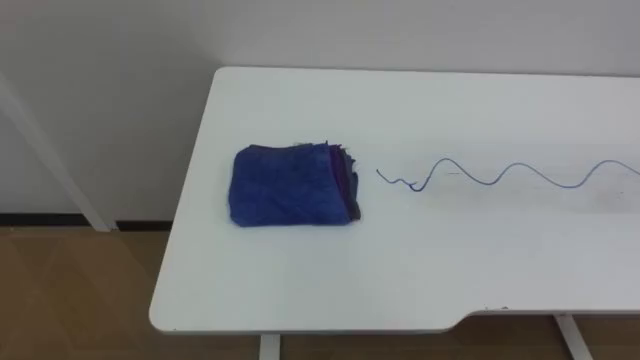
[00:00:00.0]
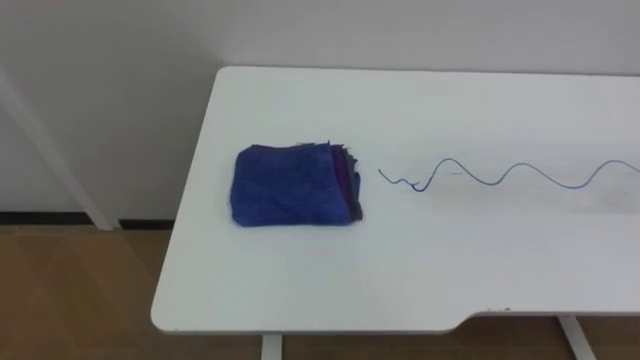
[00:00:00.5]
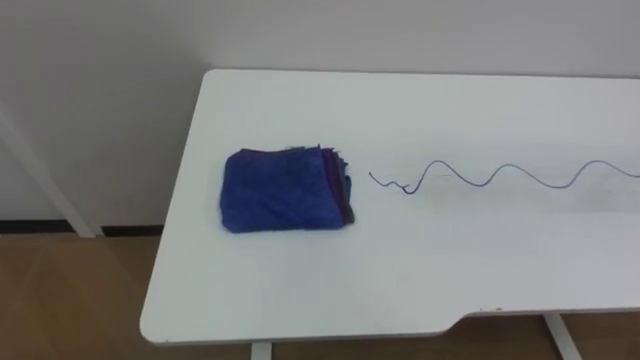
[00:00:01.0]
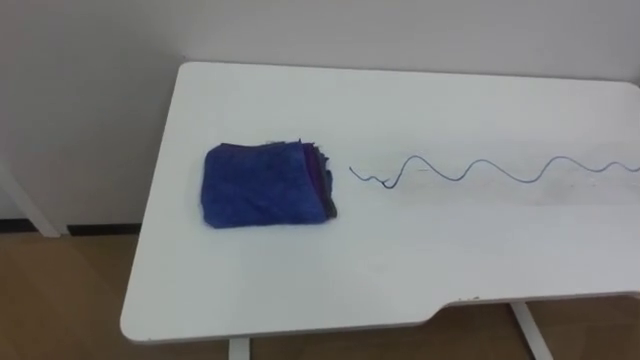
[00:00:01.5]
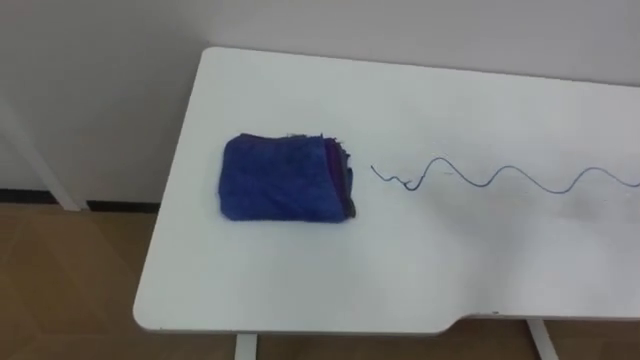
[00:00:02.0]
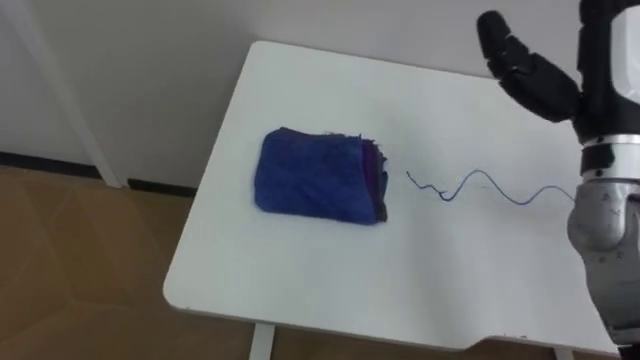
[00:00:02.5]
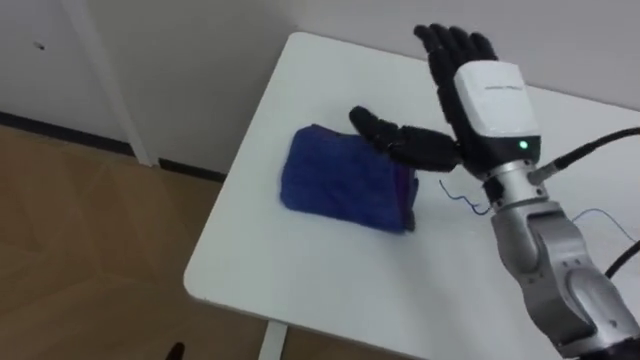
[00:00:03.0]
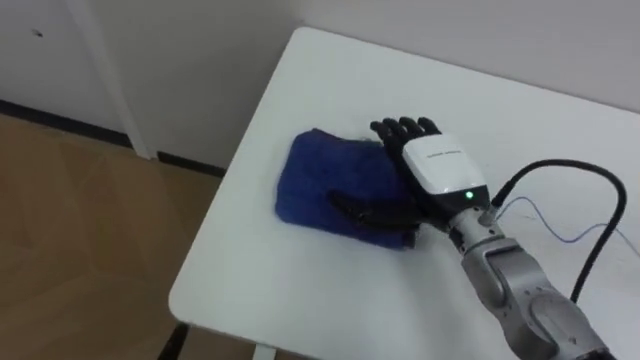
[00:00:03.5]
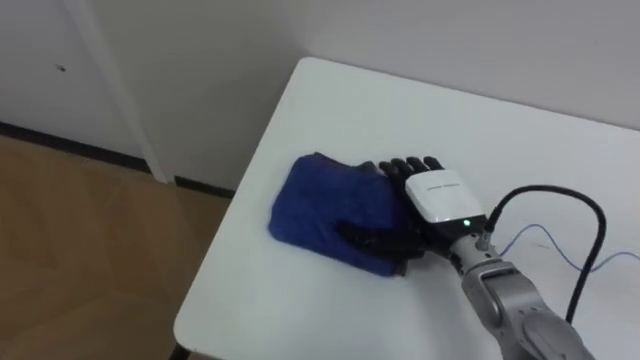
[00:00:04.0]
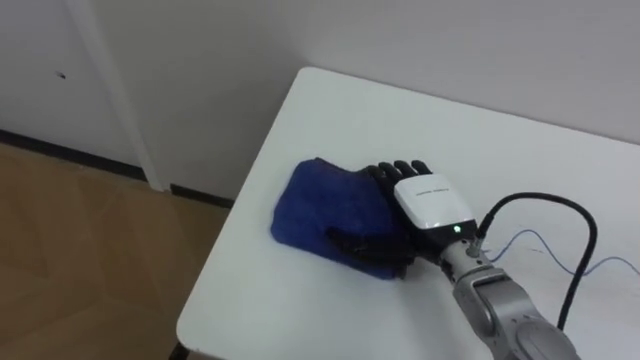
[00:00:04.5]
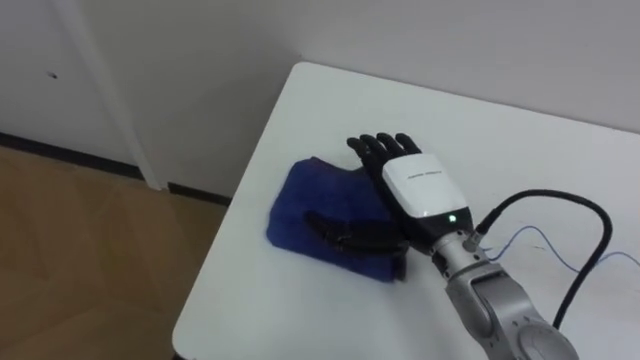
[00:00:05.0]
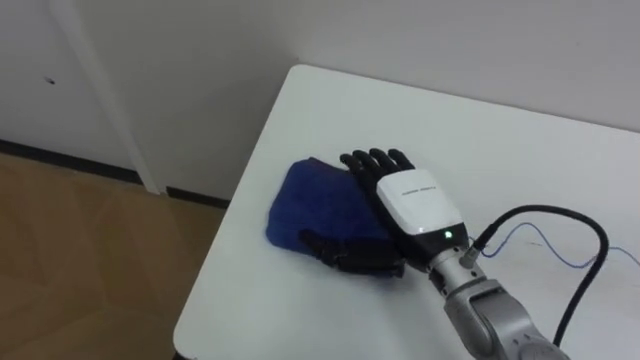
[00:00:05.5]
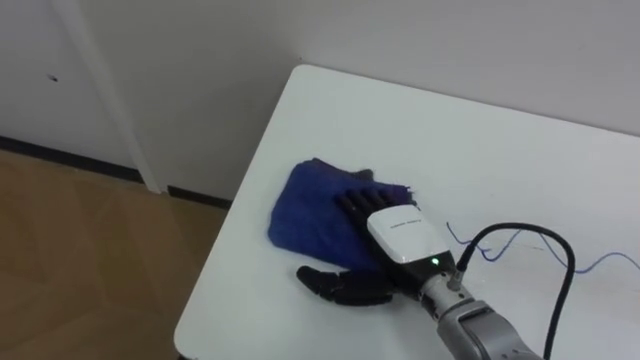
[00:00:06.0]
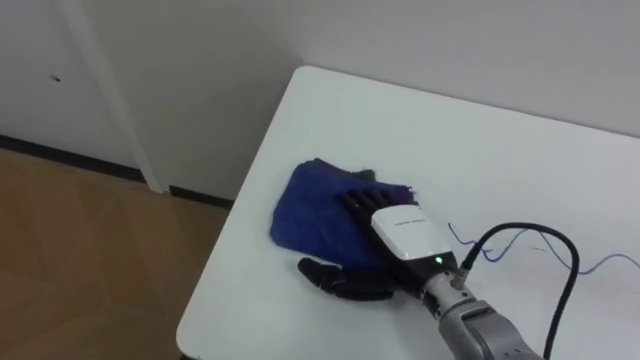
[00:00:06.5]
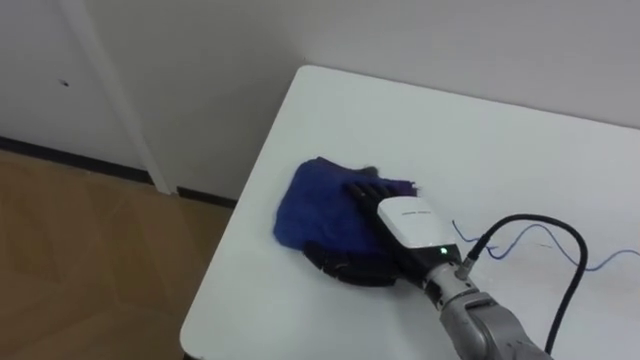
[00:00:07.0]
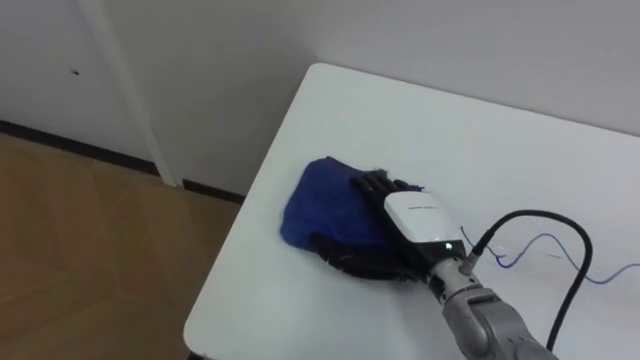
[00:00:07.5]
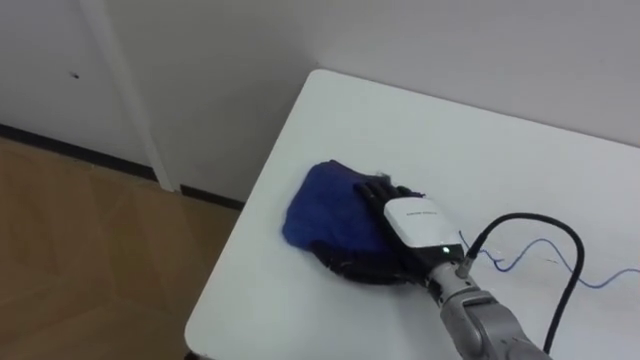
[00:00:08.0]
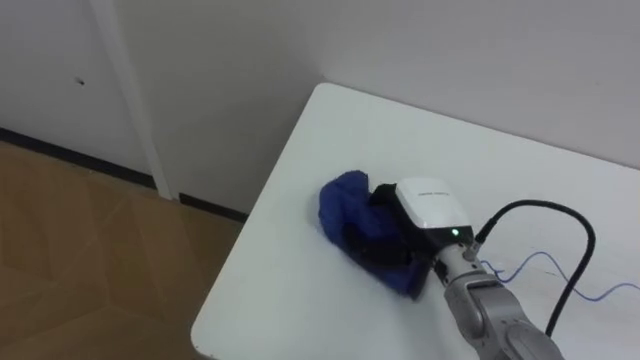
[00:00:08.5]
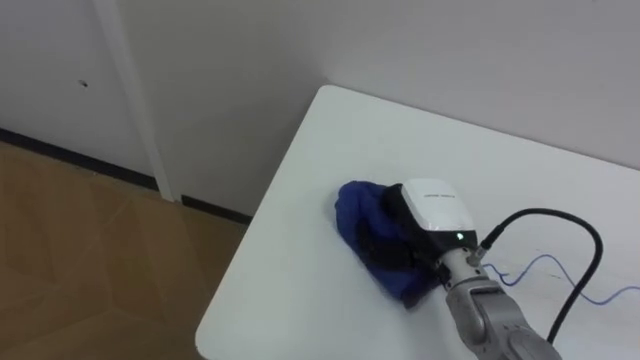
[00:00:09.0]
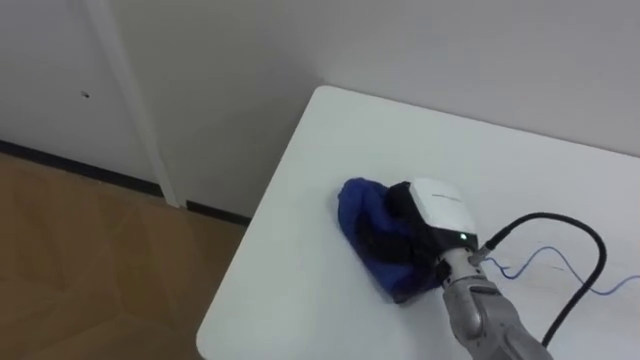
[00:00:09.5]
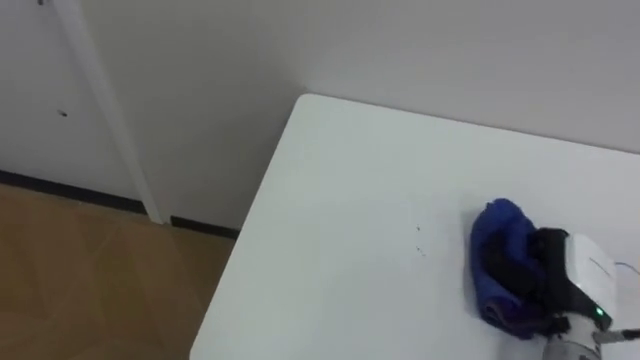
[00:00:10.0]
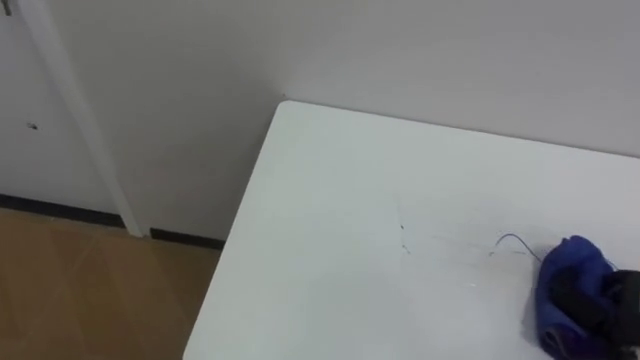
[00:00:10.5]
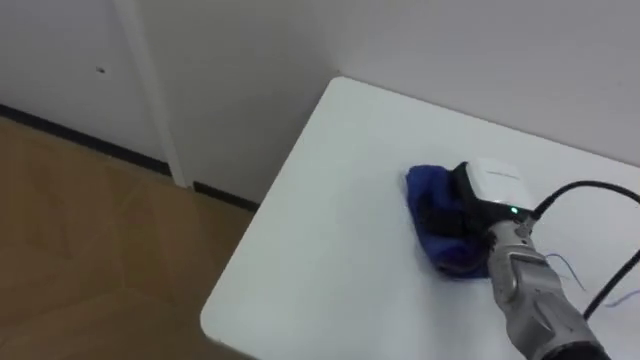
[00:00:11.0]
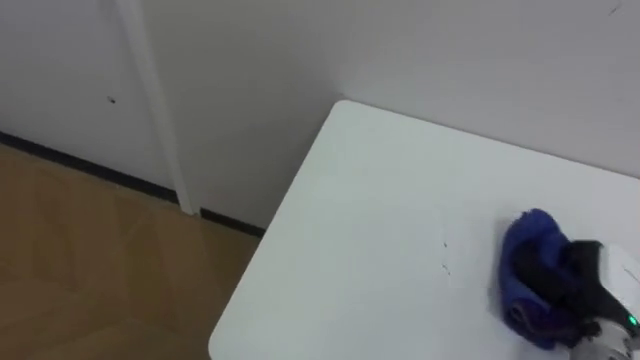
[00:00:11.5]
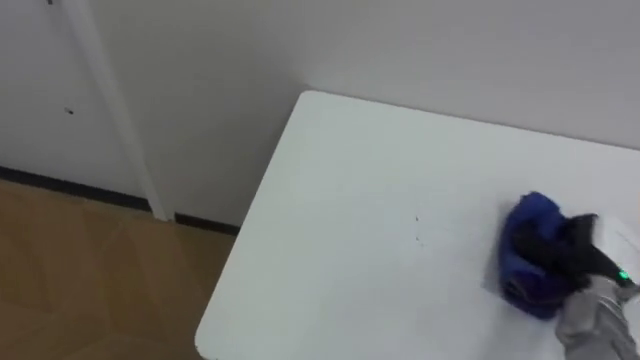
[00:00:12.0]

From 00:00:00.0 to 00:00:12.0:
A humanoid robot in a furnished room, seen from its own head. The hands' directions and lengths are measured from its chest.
Task of the whole recording: Wipe the blue pen marks off the table with the rag.
From 00:00:04.0 to 00:00:06.0: The right hand ends up some 5 cm from where it was.
From 00:00:08.0 to 00:00:10.0: The right hand shifts approximately 20 cm to the right, and closes.

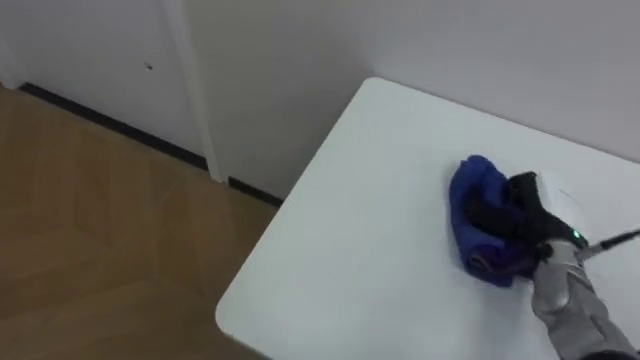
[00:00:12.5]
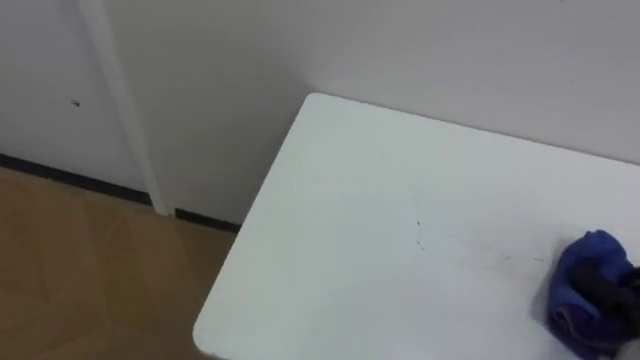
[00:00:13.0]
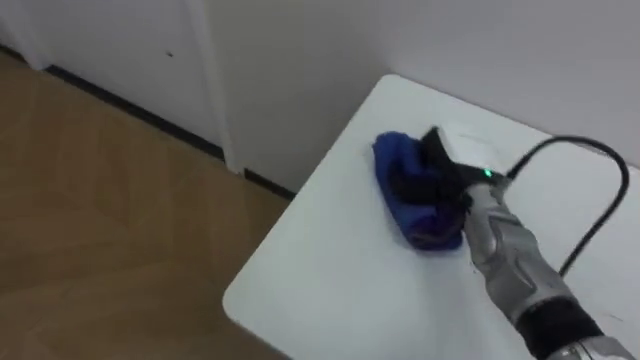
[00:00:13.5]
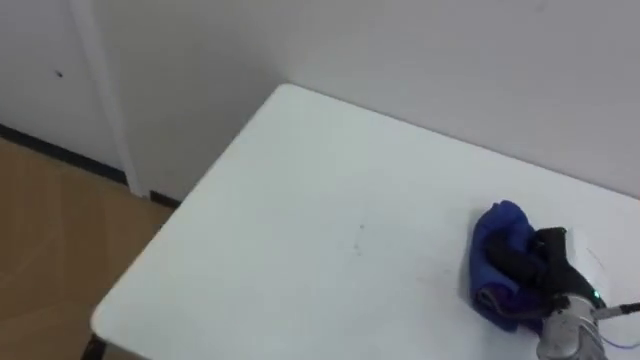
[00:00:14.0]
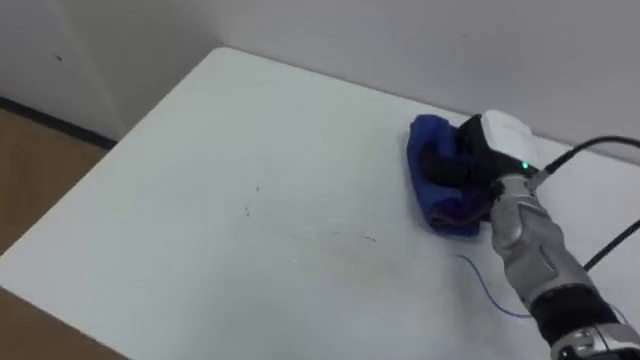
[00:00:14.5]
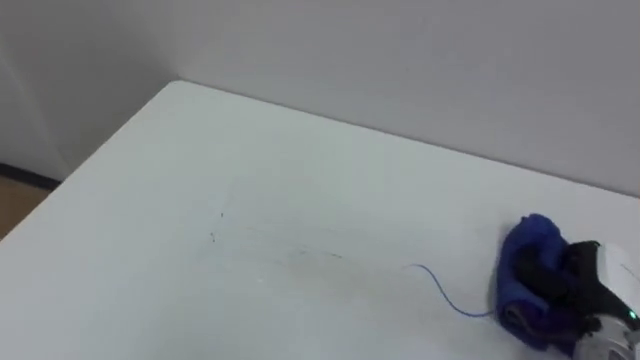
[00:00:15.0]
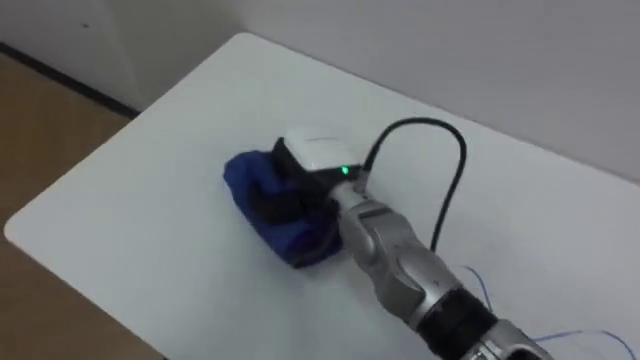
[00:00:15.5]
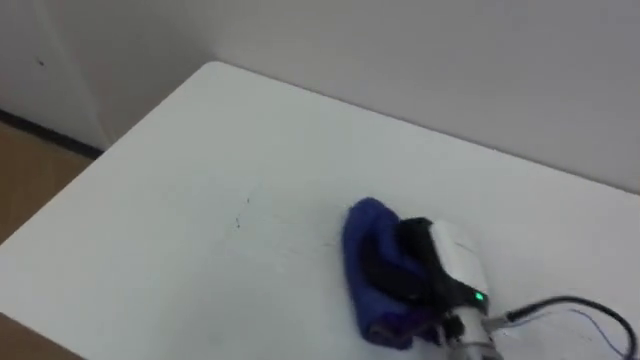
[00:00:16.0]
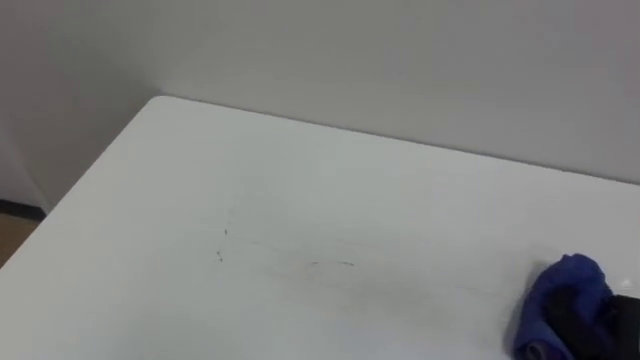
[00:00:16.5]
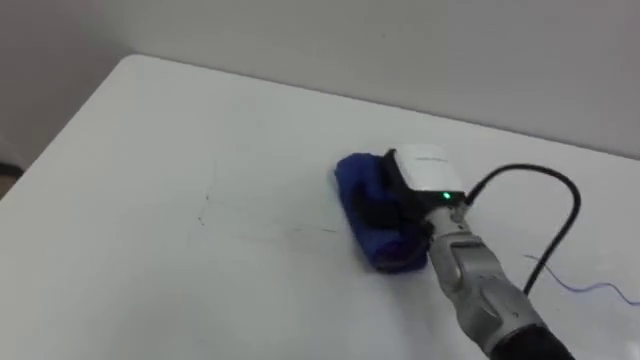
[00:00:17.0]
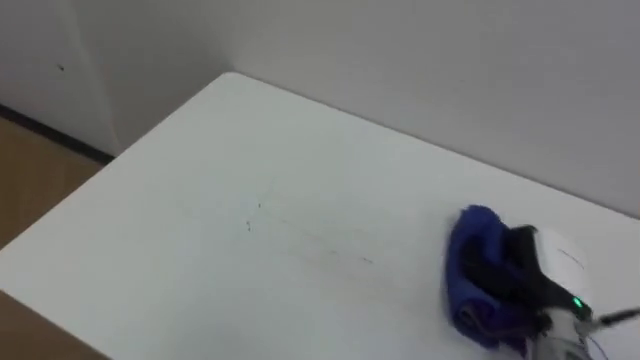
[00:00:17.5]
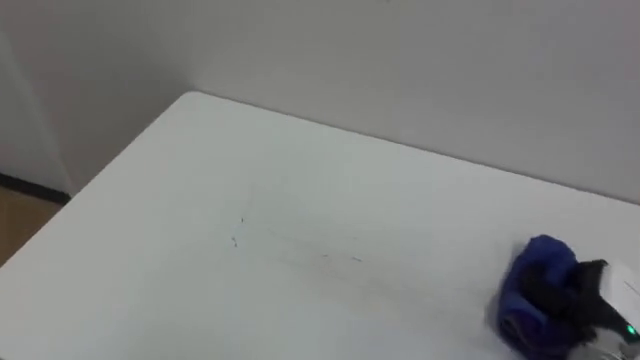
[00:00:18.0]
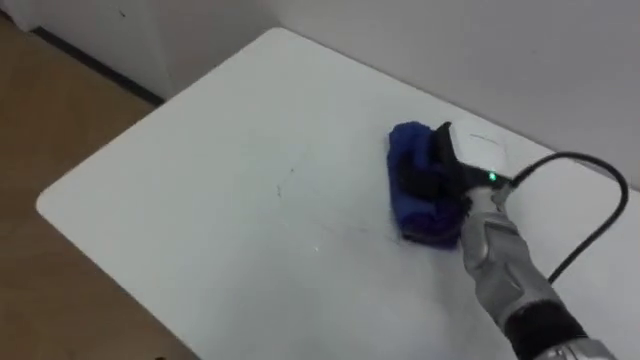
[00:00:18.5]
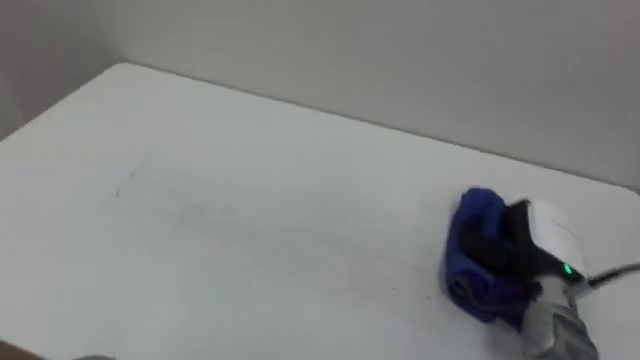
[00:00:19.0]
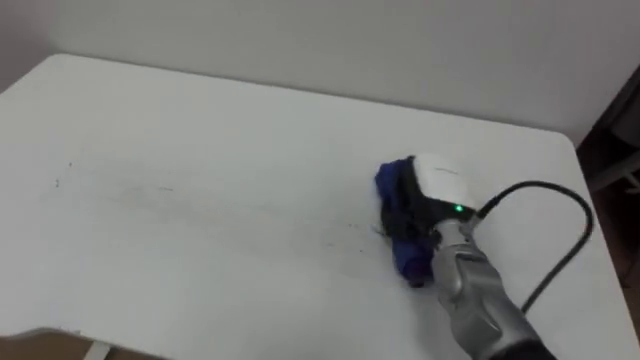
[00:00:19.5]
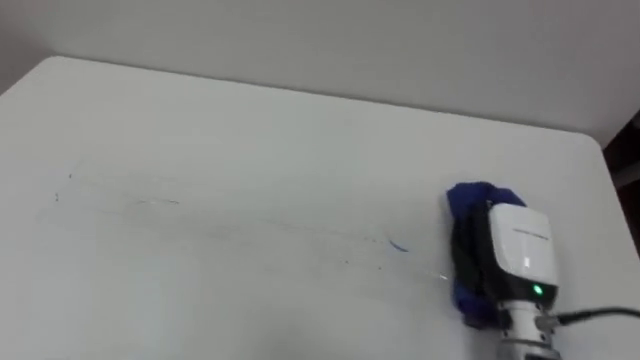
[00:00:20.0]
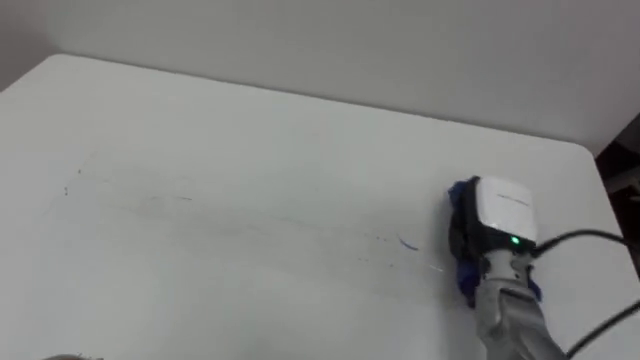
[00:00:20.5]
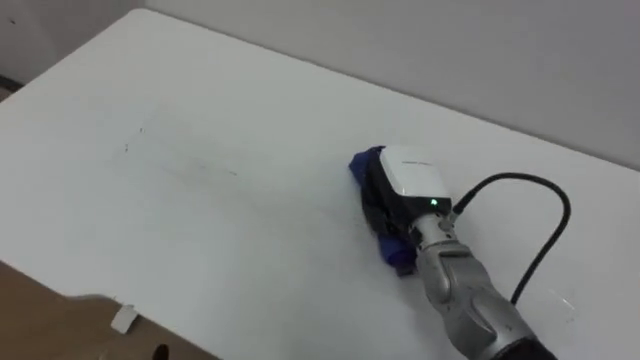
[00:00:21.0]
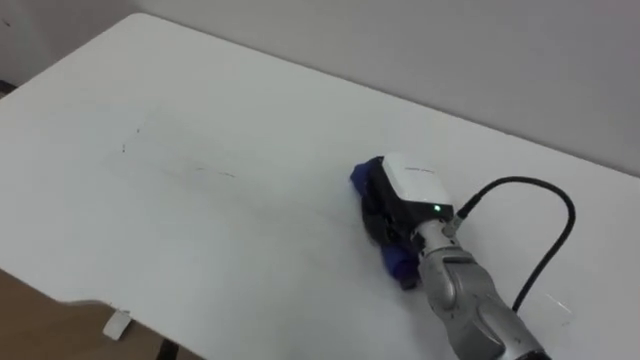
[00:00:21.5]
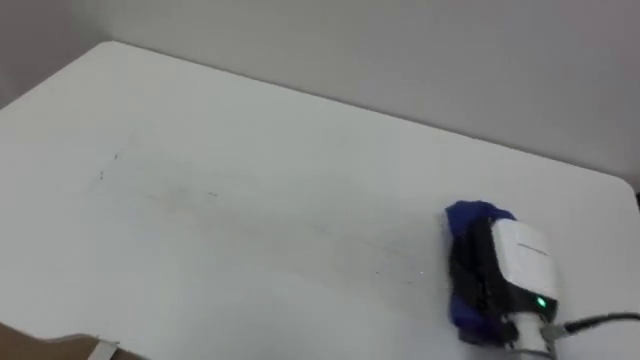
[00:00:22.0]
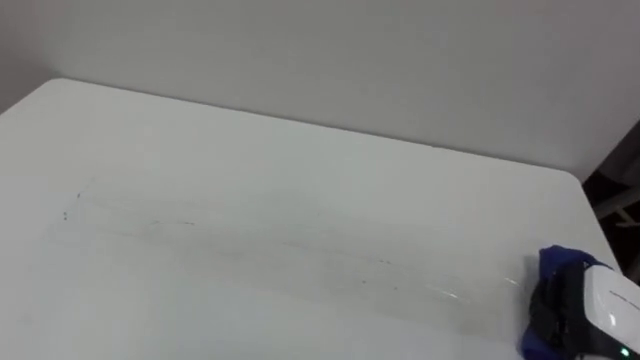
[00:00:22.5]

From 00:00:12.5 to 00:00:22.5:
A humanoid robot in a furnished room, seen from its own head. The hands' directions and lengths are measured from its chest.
Task of the whole recording: Wipe the blue pen marks off the table with the rag.
From 00:00:18.5 to 00:00:20.5: The right hand swings forward and backward, roughly 10 cm each way, with 2 reversals.
From 00:00:20.5 to 00:00:22.5: The right hand goes some 15 cm backward and to the right.
